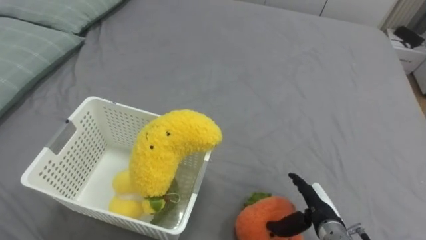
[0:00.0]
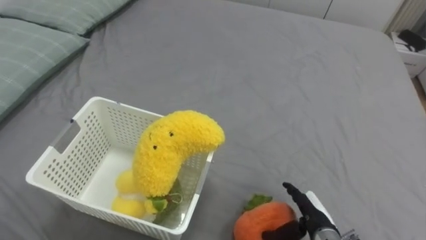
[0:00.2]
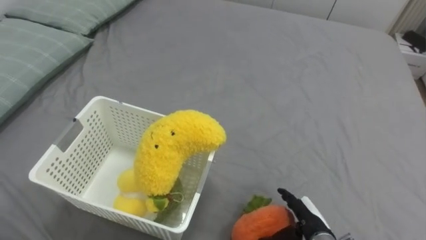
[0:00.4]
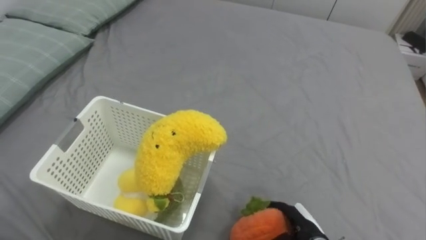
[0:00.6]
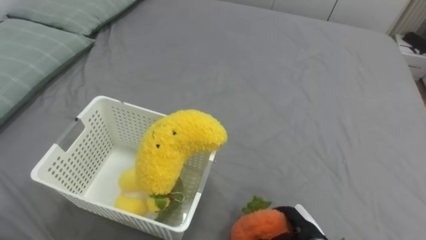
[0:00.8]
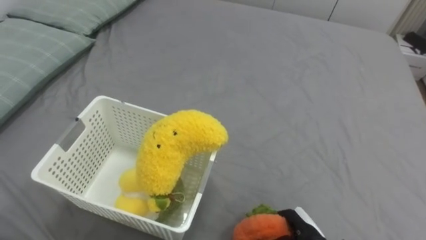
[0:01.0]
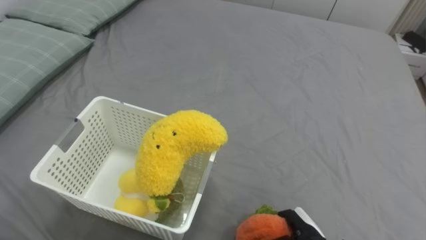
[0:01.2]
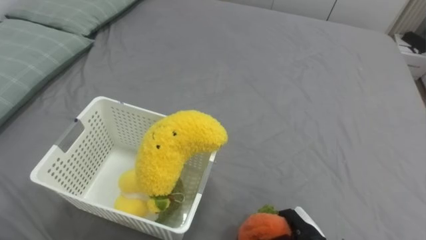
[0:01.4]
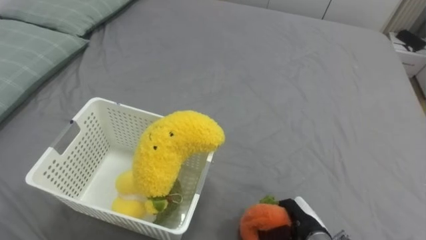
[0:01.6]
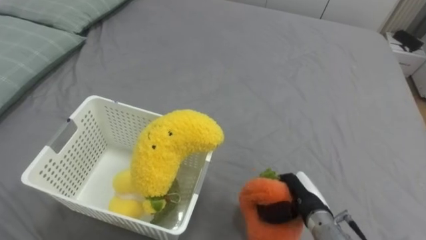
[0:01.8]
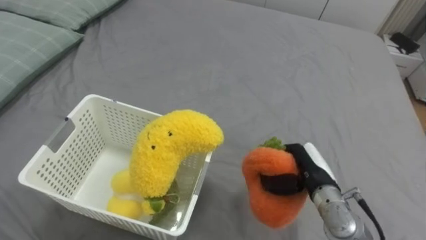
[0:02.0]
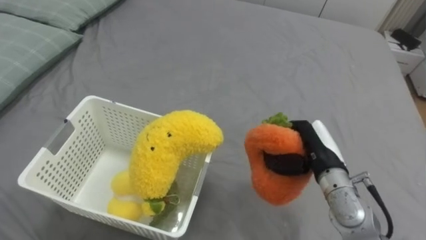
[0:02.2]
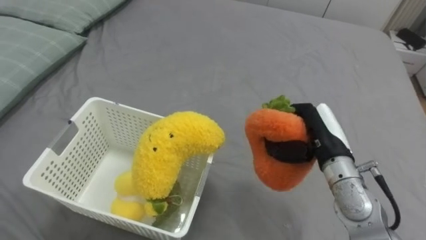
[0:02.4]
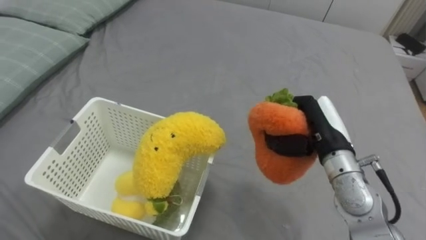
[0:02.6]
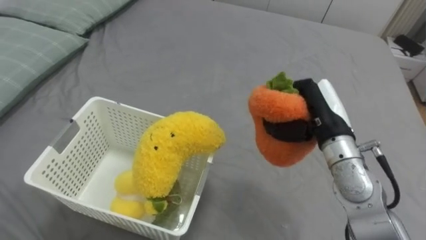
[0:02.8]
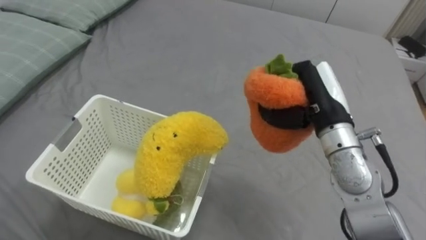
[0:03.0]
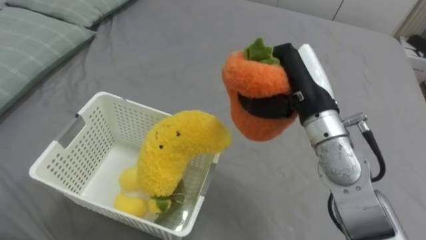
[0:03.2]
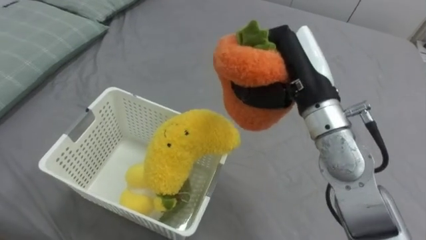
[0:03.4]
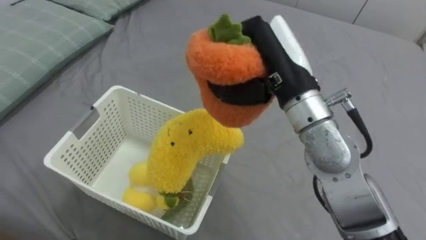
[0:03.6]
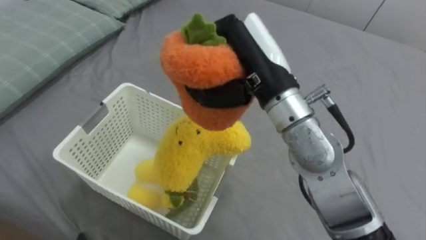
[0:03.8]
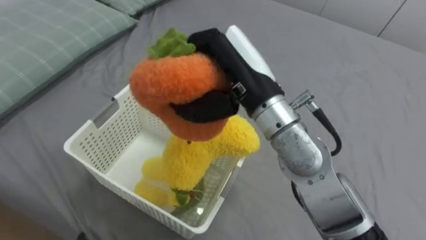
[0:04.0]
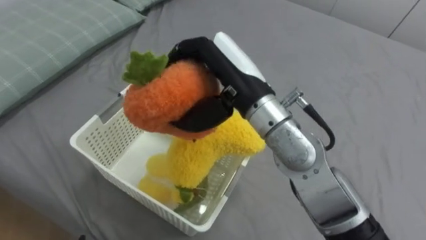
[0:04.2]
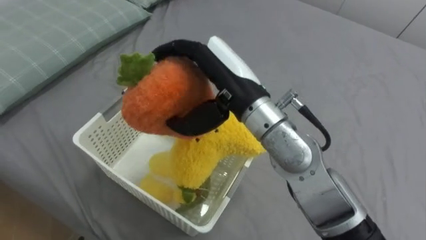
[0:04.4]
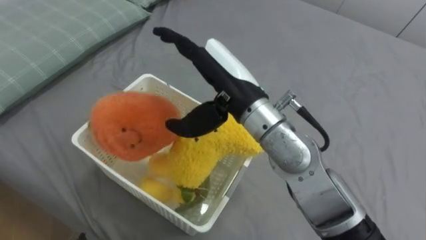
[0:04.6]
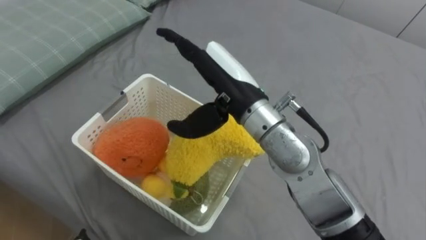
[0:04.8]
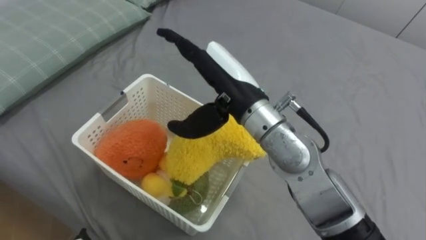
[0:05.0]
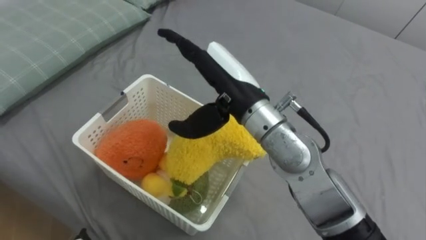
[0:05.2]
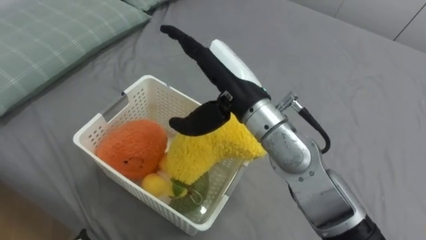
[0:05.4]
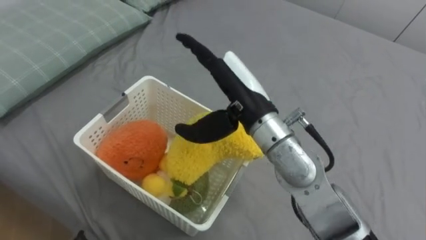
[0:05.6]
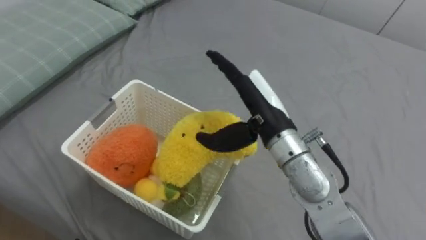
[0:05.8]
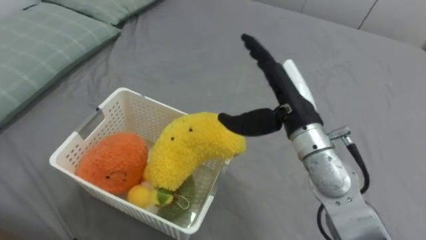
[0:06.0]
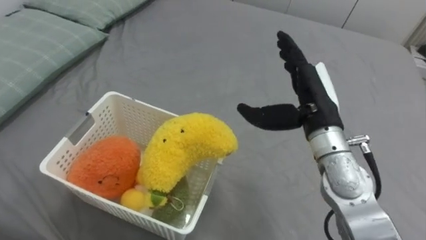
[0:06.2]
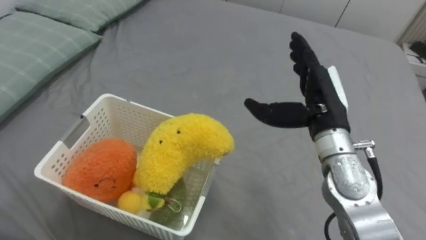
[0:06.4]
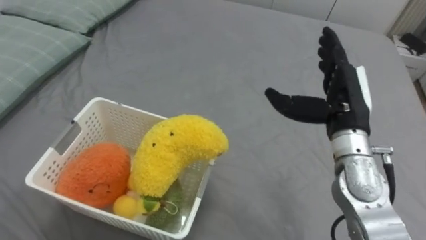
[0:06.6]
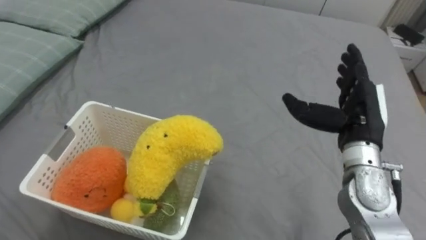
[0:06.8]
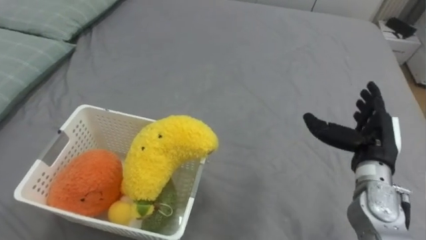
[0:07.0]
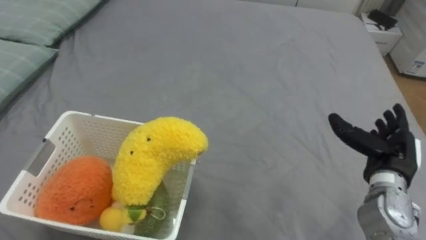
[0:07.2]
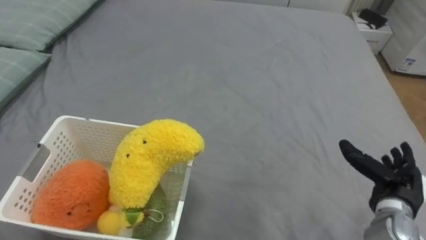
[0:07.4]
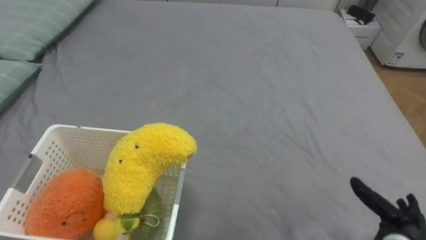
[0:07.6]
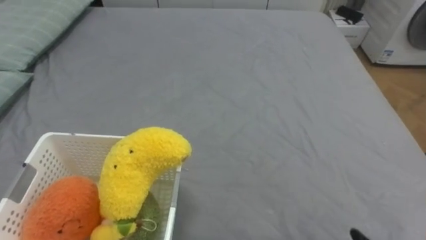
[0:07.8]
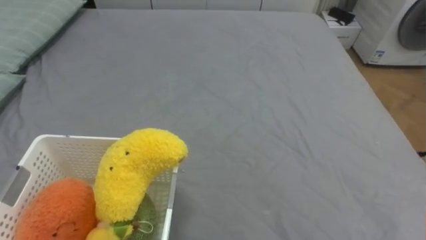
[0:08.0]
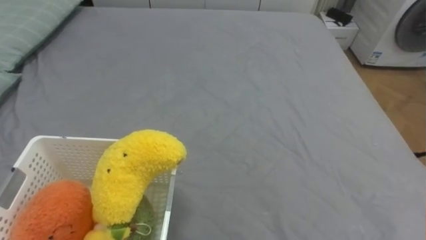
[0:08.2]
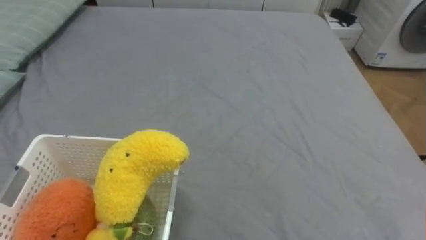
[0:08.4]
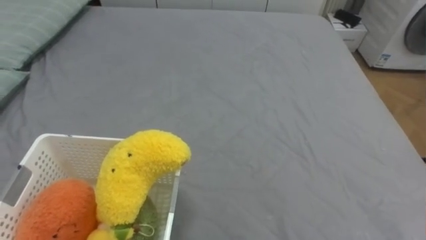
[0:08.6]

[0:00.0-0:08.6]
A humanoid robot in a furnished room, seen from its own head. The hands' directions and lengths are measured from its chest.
Task of the whole recording: Put the toys on the bed into the basket on the left.
0:00.0 to 0:01.4: The right hand ends up approximately 5 cm from where it was, and closes up.
0:01.4 to 0:02.8: The right hand travels upward and forward by about 25 cm.
0:02.8 to 0:04.4: The right hand is displaced to the left and upward by some 20 cm, and opens up.
0:04.4 to 0:05.8: The right hand travels downward and to the right by approximately 10 cm.
0:05.8 to 0:07.2: The right hand travels to the right and downward by roughly 25 cm.

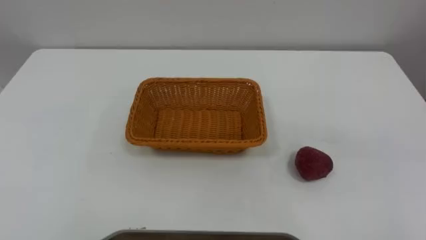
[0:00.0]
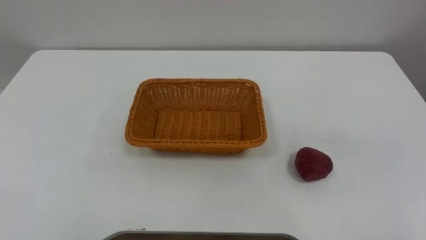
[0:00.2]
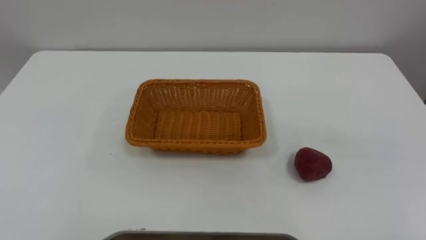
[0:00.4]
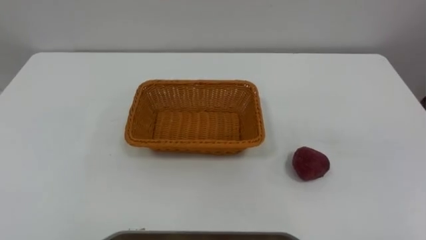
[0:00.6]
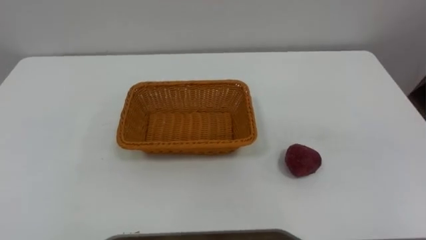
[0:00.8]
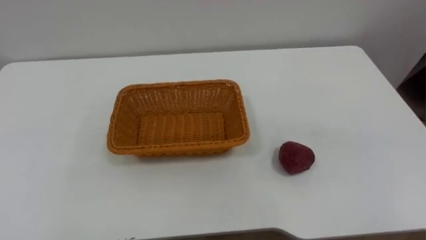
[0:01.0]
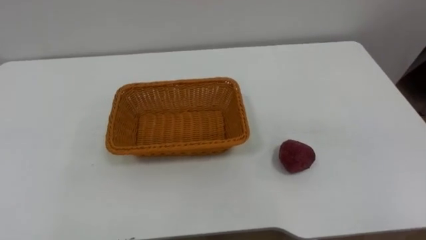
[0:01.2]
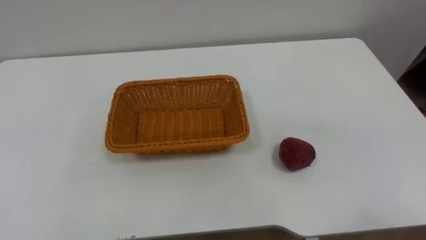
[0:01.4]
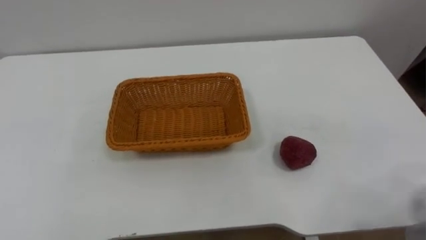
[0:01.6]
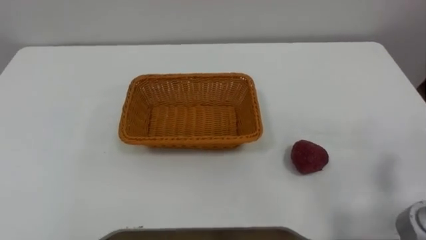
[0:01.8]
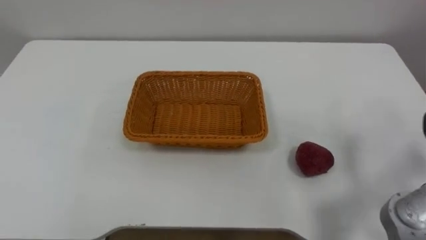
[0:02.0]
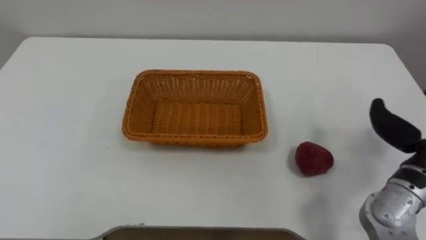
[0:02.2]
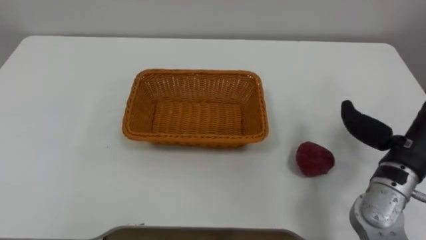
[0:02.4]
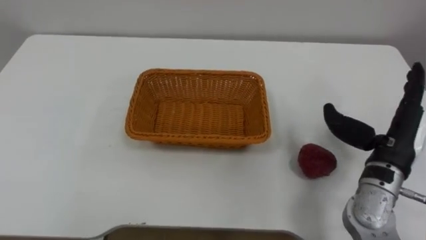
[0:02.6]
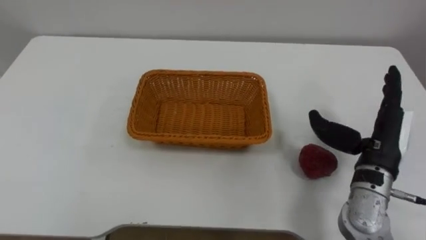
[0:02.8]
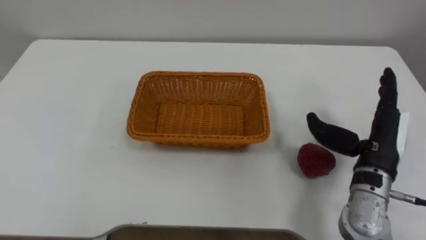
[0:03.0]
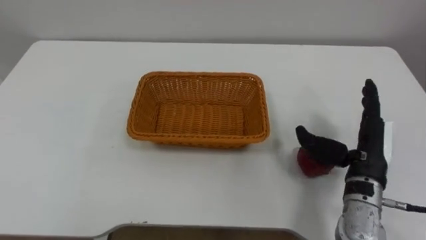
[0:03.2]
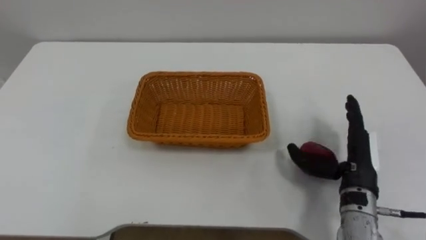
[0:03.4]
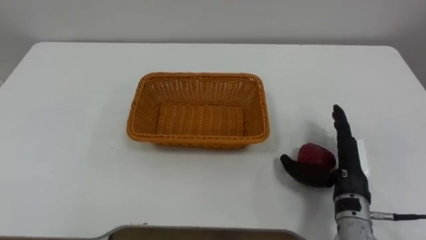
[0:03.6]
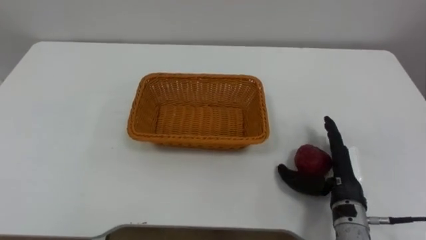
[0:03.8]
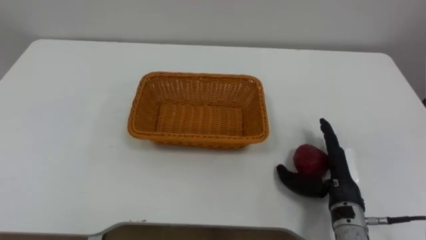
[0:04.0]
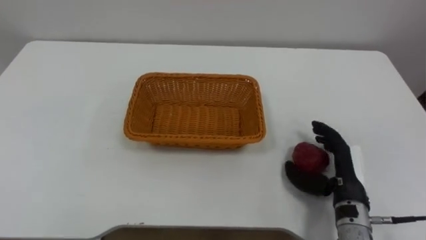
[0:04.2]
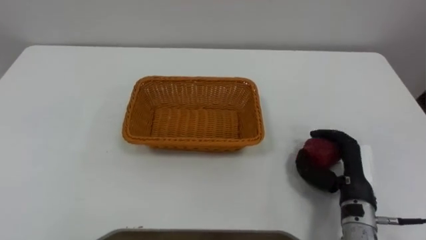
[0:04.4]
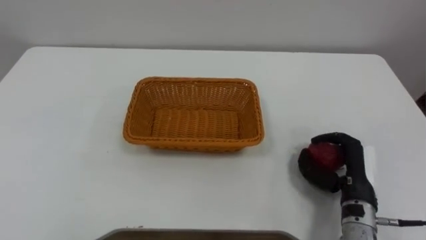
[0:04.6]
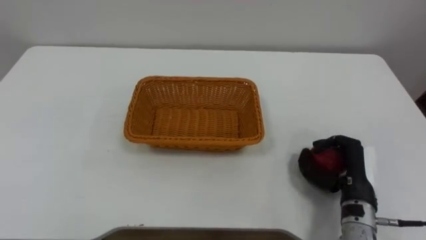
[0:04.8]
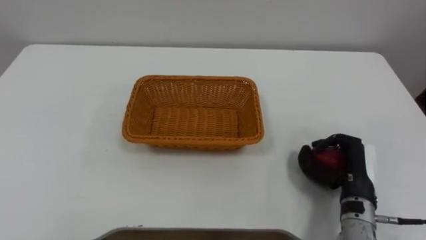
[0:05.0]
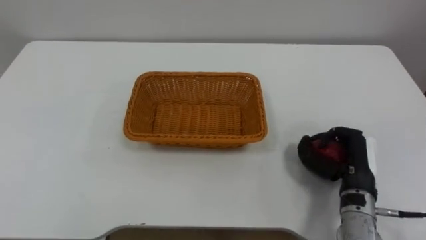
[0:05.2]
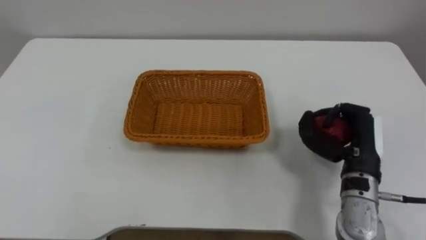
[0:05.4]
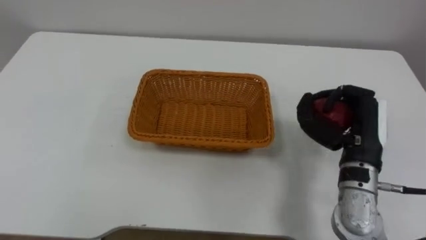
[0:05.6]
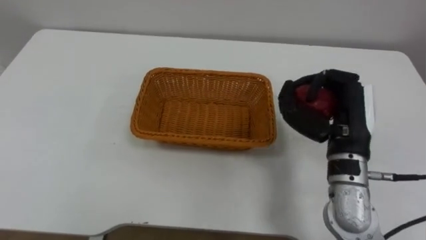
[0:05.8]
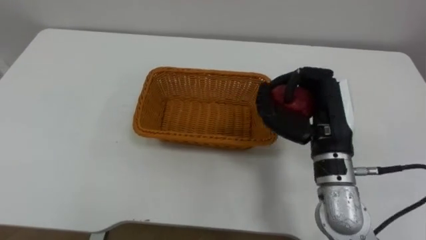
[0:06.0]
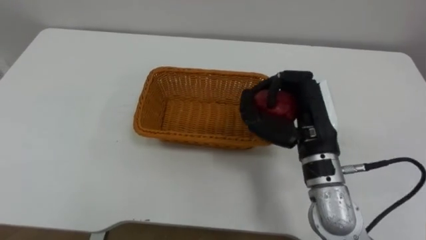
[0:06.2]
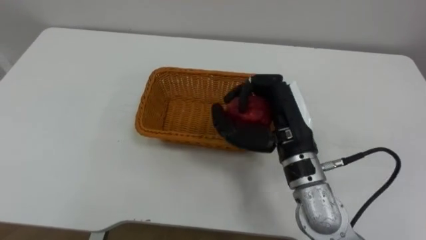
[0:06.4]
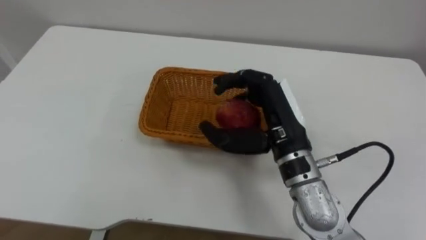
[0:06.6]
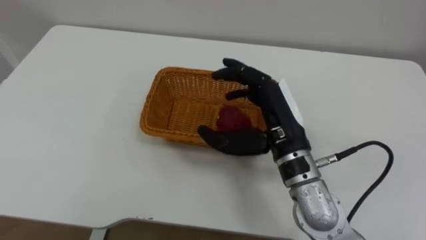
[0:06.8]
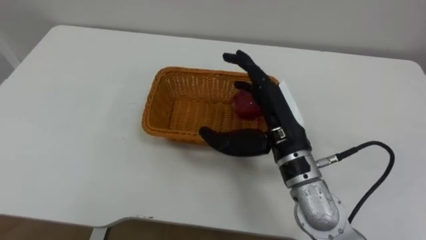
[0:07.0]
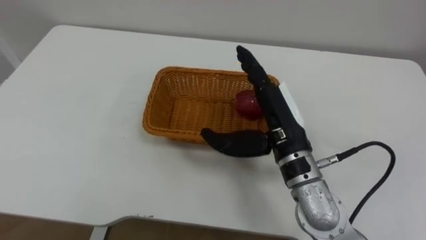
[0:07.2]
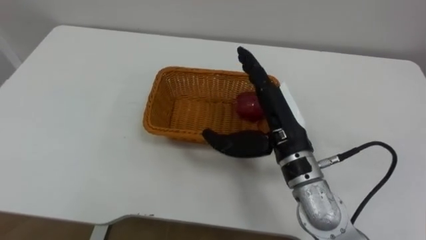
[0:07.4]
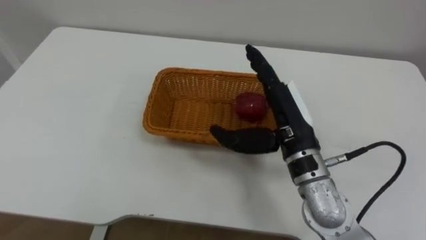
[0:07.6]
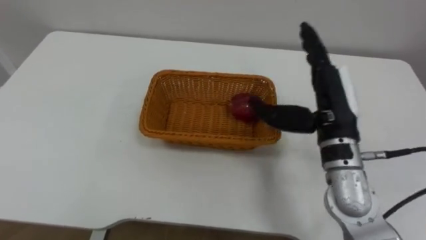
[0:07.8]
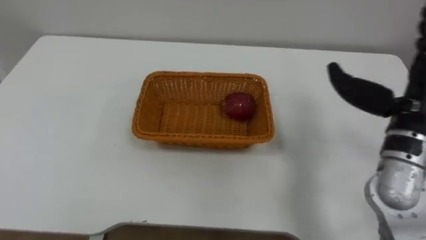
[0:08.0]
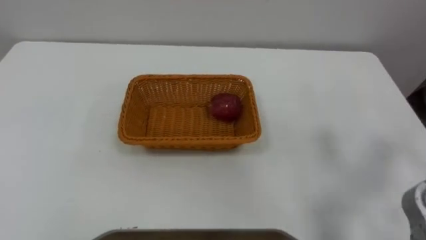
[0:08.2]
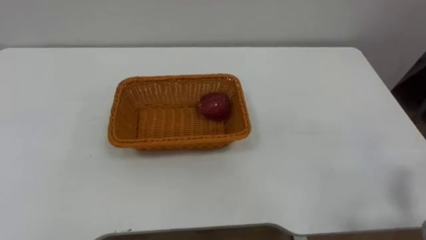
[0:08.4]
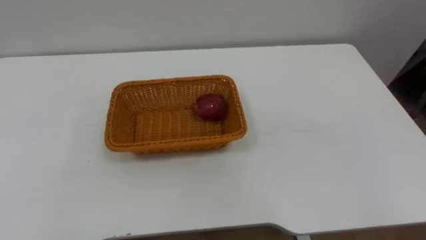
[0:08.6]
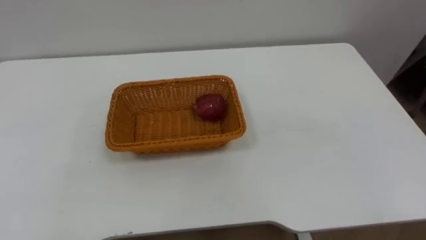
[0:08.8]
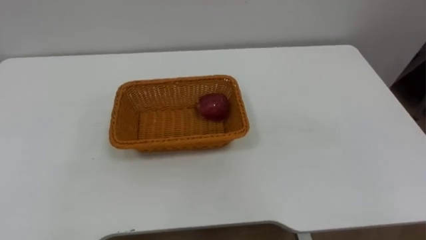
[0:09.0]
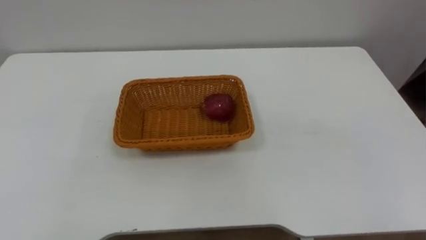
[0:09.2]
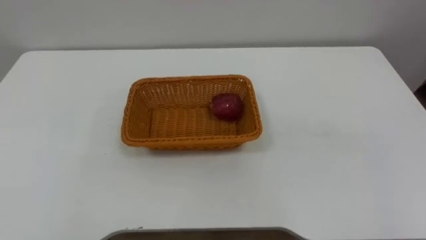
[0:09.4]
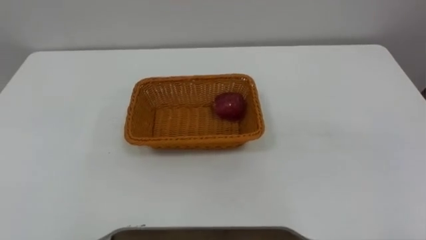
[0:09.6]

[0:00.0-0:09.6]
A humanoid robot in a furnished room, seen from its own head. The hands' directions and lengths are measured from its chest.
Task of the whole recording: Pick the apple and place it in the box.
0:03.2 to 0:04.8: The right hand travels downward by some 5 cm, and closes its fingers.
0:04.8 to 0:06.4: The right hand shifts approximately 20 cm upward and to the left.
0:06.4 to 0:08.0: The right hand moves to the right, roughly 15 cm, and opens up.
